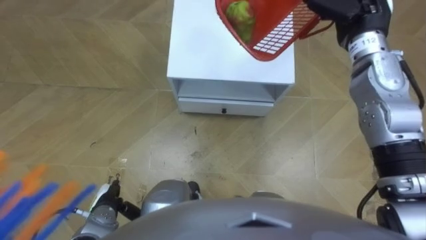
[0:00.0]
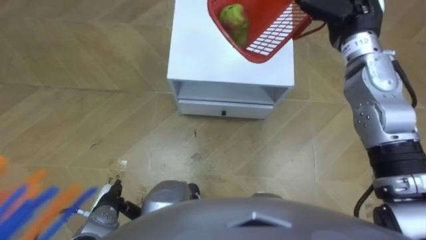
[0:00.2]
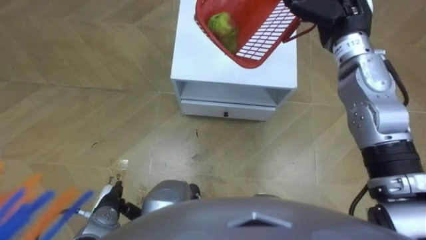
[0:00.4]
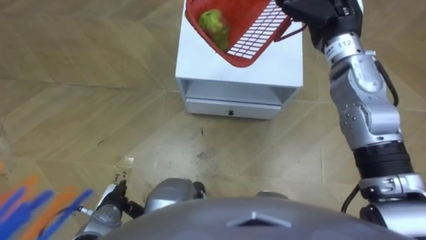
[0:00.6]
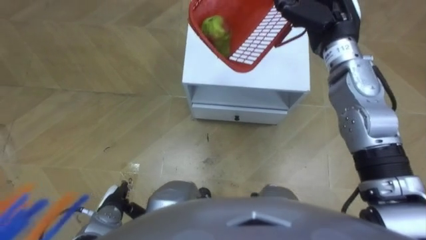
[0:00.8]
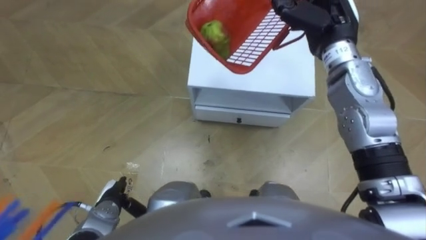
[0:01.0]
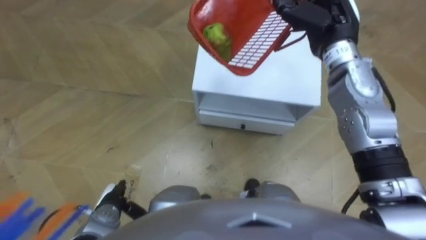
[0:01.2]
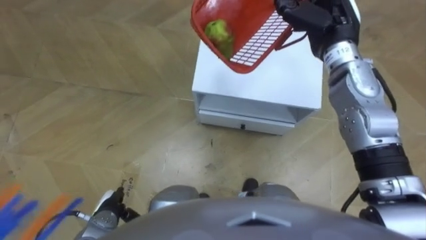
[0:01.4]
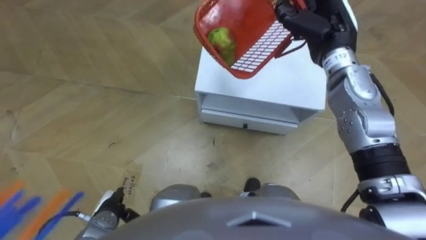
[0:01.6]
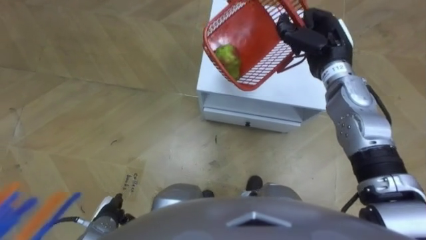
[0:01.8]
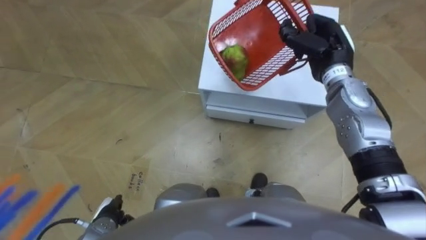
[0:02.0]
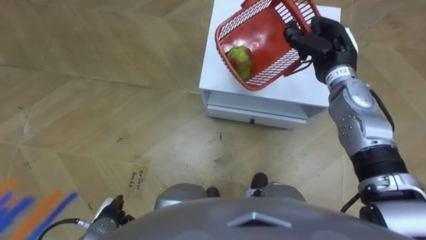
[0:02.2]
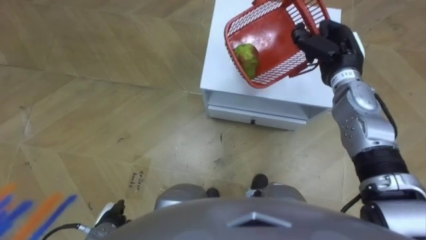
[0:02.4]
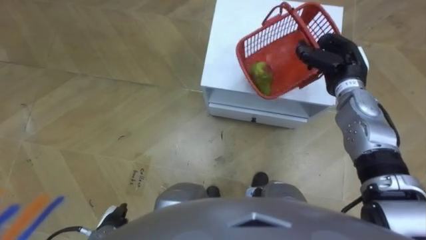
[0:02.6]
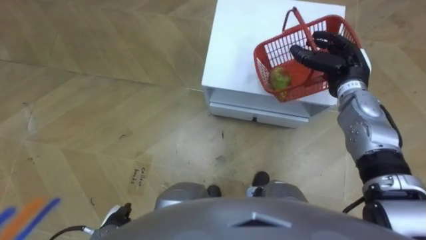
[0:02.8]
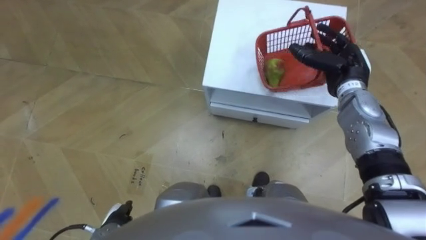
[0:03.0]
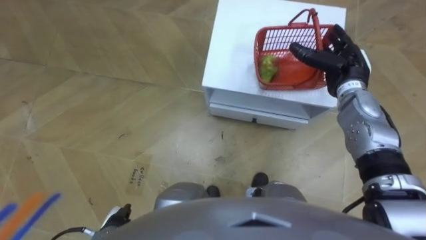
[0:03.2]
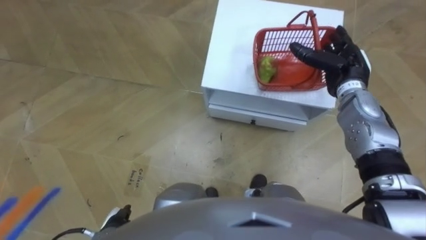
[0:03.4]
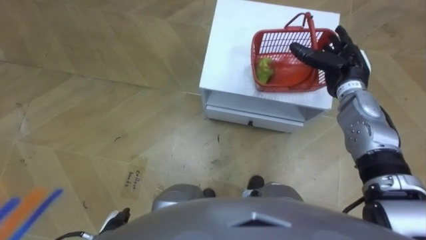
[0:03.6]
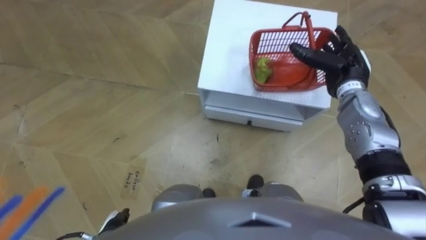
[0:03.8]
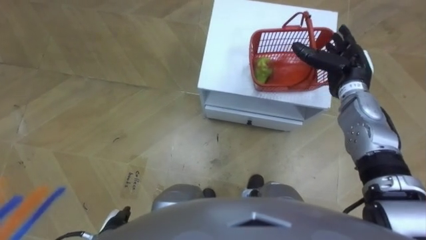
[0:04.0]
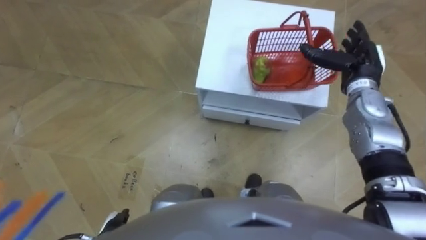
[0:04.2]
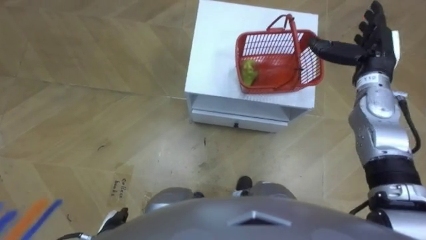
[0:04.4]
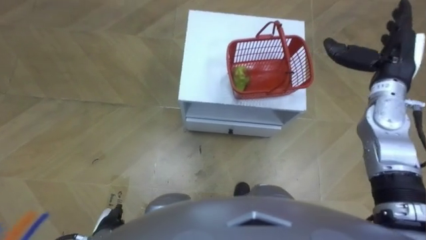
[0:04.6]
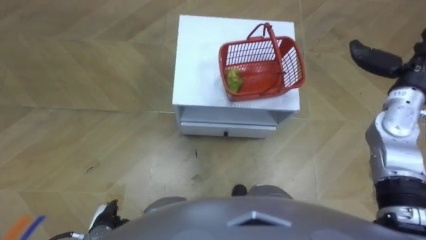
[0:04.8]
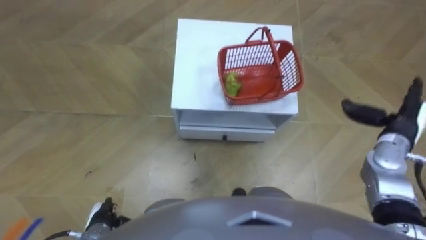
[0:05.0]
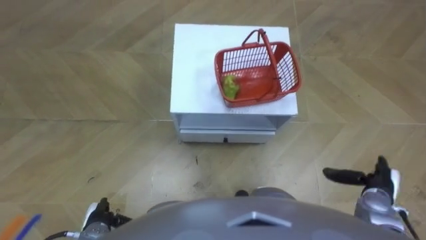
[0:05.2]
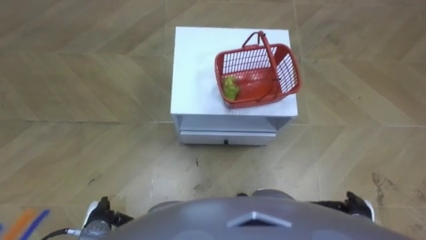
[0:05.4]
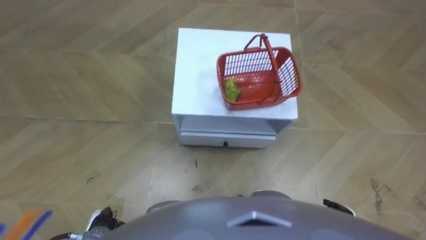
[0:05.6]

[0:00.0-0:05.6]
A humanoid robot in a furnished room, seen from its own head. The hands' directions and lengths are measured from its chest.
Task of the whole recording: Pick up the fruit basket from the floor and place it on the cabinet.
0:01.4 to 0:02.8: The right hand is displaced downward and to the right by some 15 cm, and opens up.
0:02.8 to 0:04.2: The right hand opens its fingers.
0:04.2 to 0:05.6: The right hand is displaced backward and downward by approximately 35 cm.

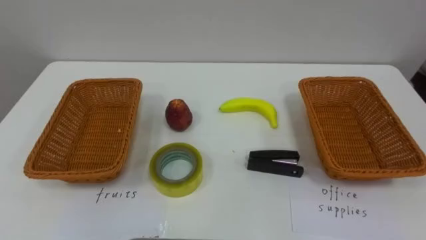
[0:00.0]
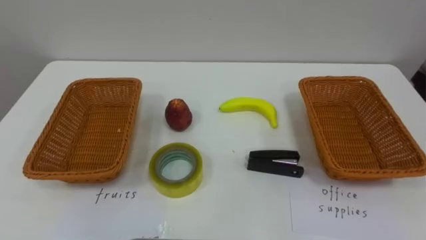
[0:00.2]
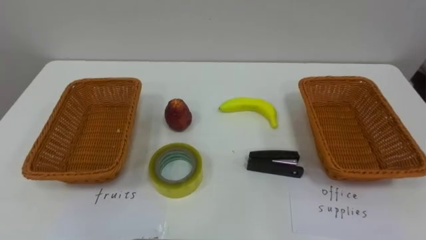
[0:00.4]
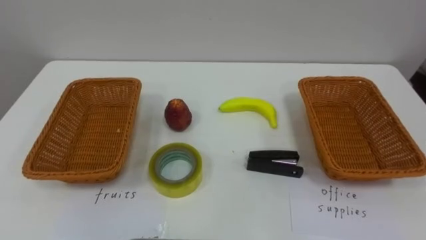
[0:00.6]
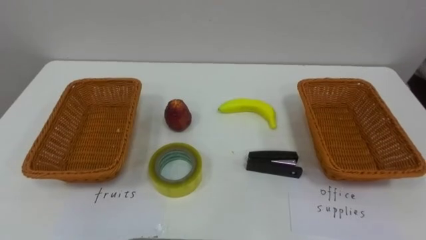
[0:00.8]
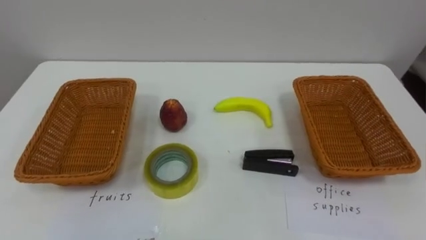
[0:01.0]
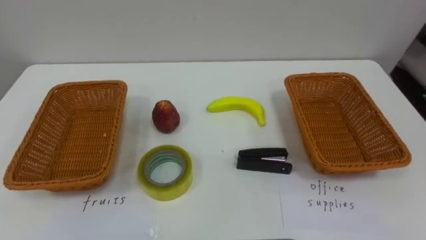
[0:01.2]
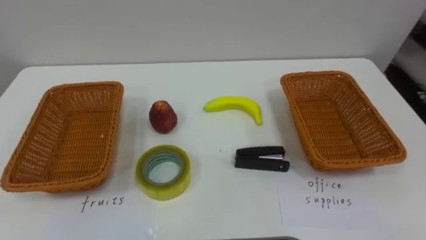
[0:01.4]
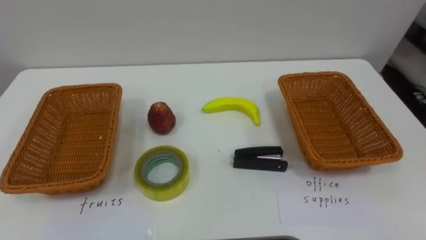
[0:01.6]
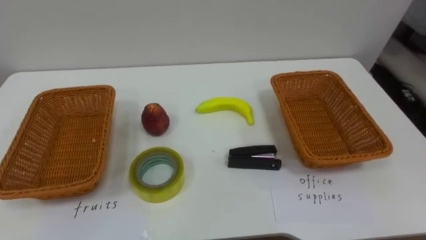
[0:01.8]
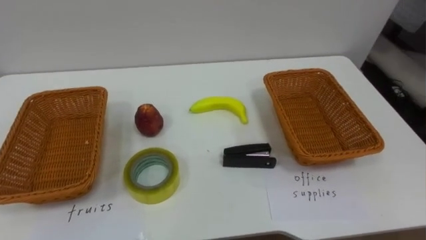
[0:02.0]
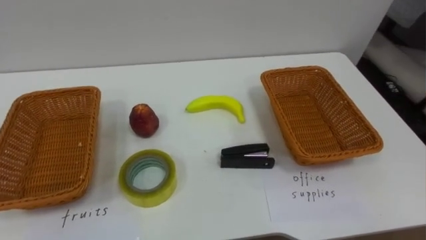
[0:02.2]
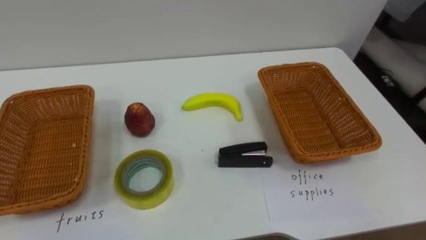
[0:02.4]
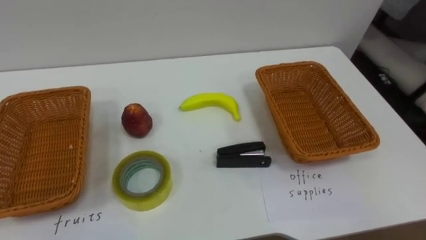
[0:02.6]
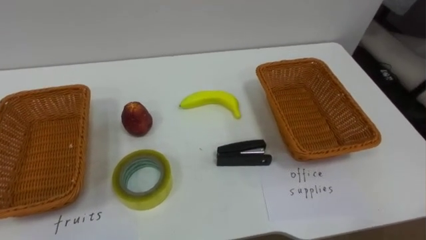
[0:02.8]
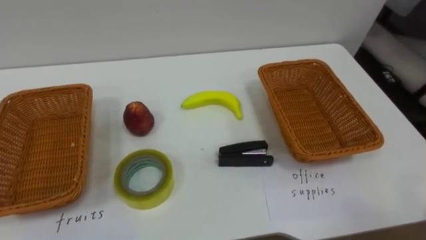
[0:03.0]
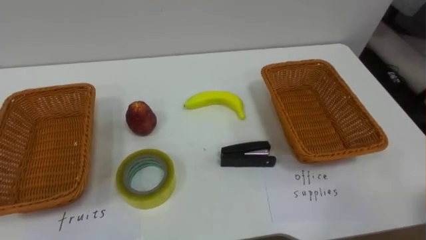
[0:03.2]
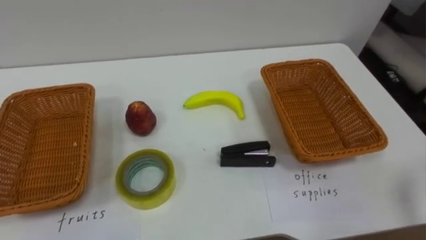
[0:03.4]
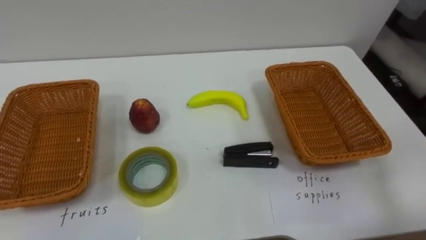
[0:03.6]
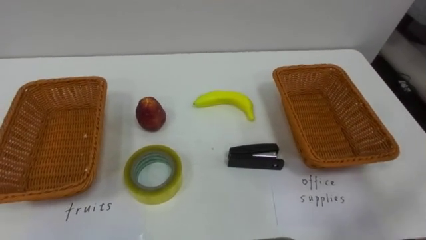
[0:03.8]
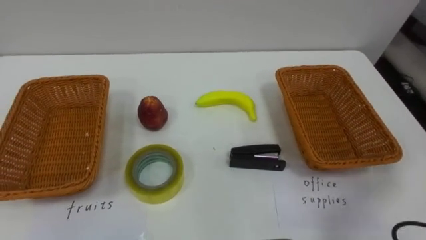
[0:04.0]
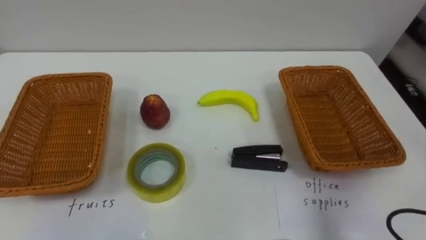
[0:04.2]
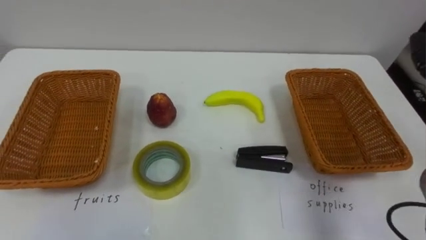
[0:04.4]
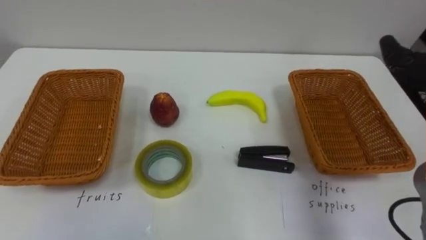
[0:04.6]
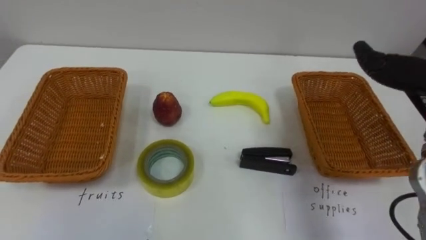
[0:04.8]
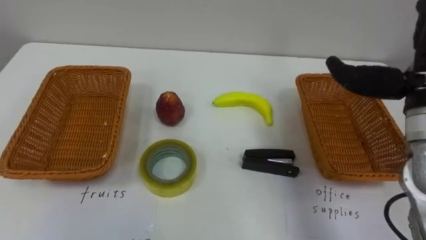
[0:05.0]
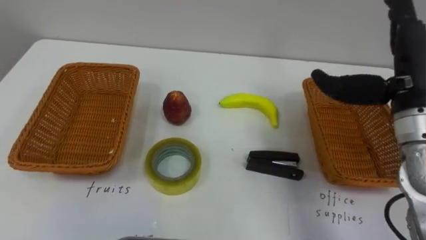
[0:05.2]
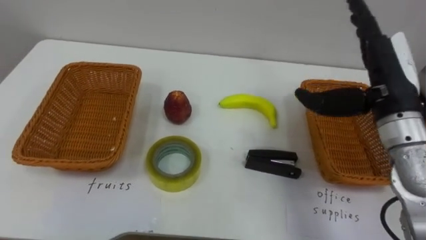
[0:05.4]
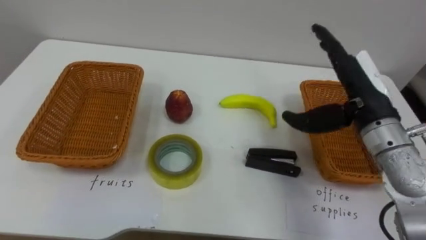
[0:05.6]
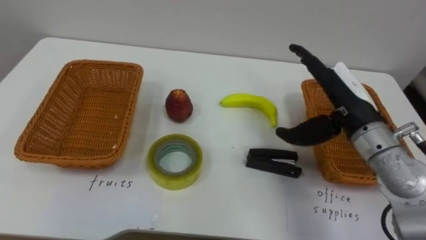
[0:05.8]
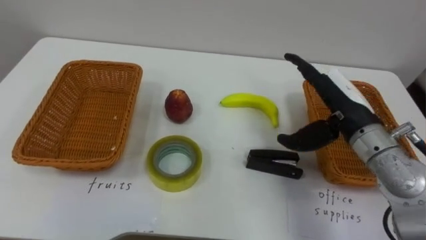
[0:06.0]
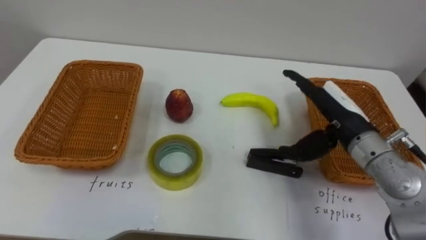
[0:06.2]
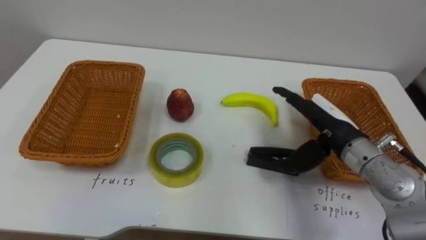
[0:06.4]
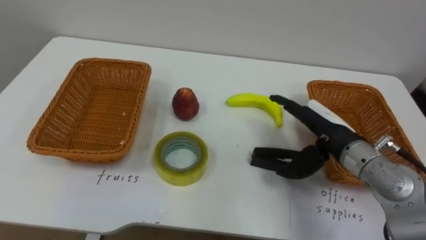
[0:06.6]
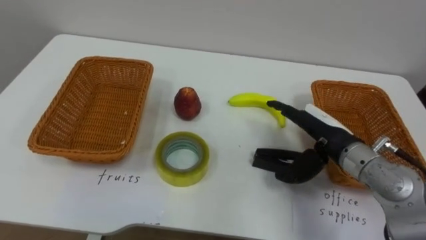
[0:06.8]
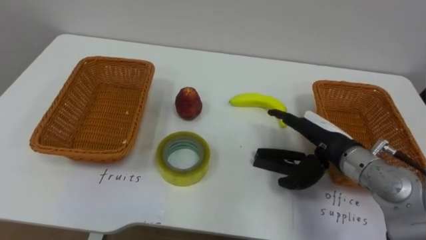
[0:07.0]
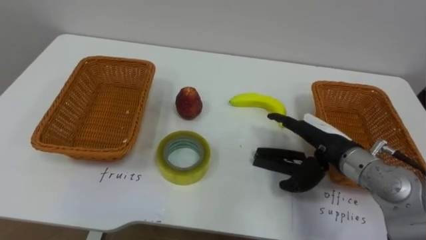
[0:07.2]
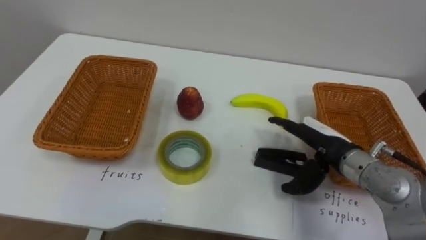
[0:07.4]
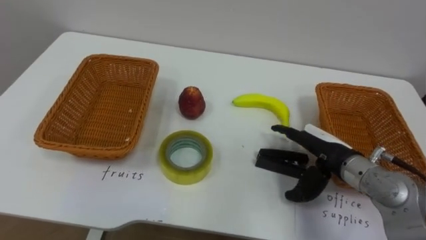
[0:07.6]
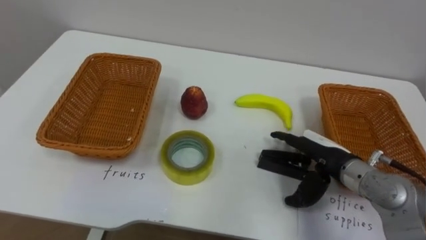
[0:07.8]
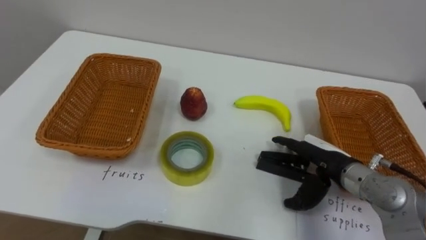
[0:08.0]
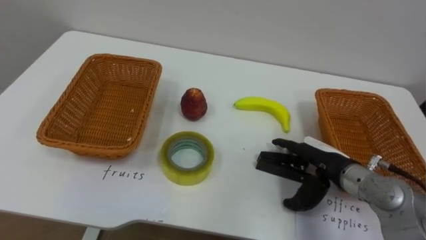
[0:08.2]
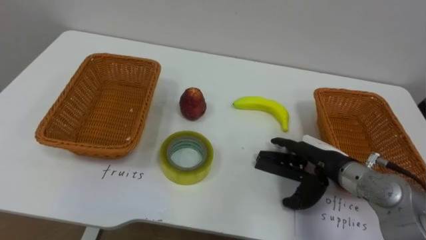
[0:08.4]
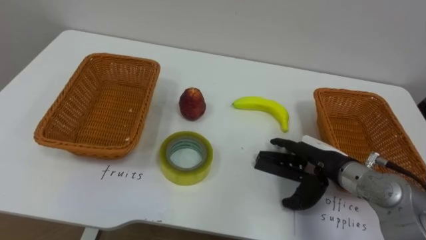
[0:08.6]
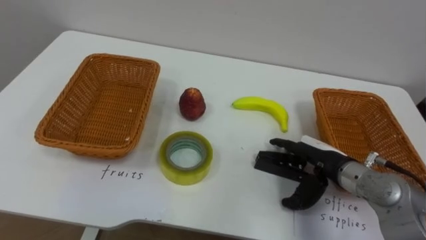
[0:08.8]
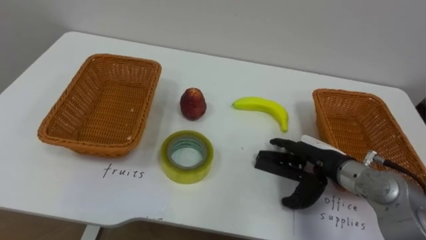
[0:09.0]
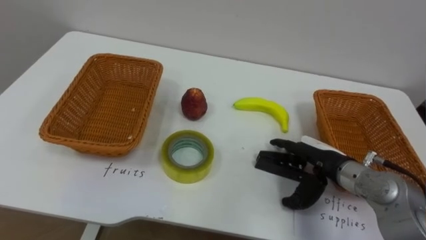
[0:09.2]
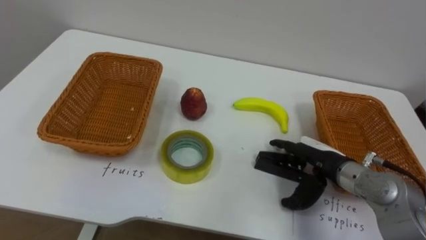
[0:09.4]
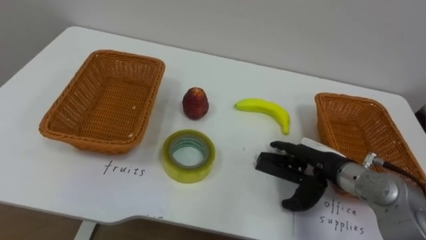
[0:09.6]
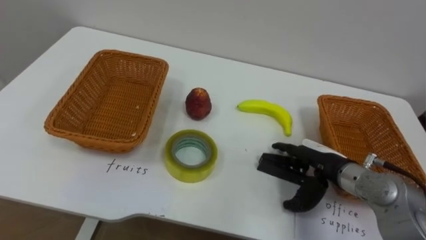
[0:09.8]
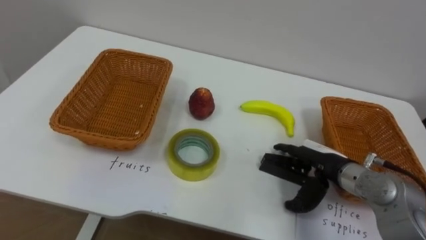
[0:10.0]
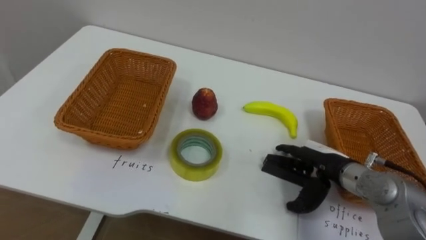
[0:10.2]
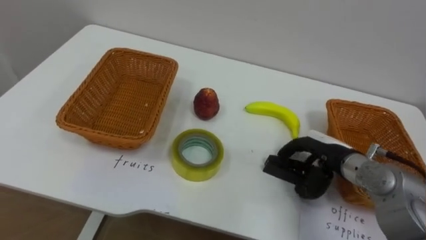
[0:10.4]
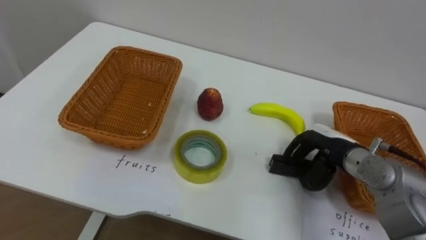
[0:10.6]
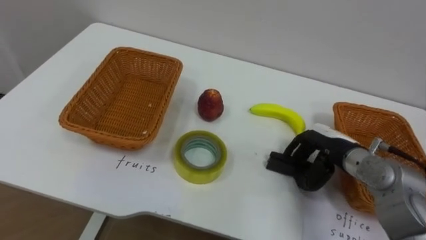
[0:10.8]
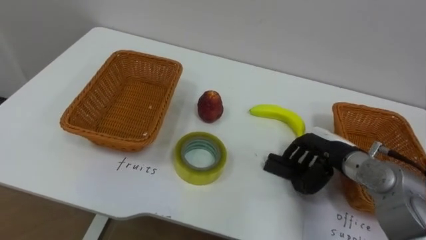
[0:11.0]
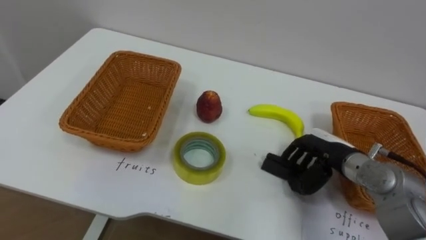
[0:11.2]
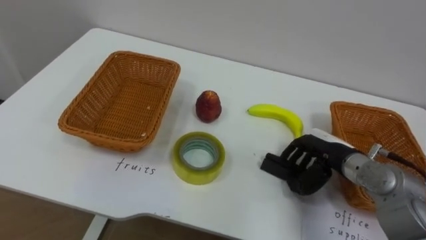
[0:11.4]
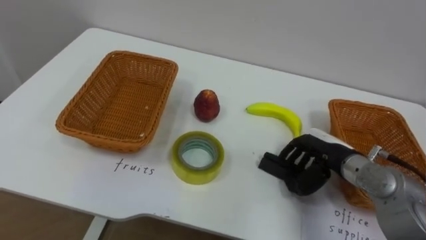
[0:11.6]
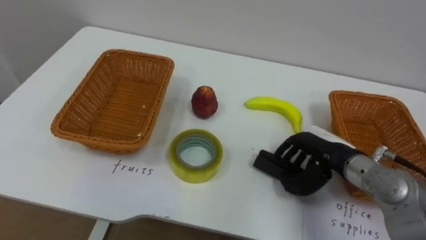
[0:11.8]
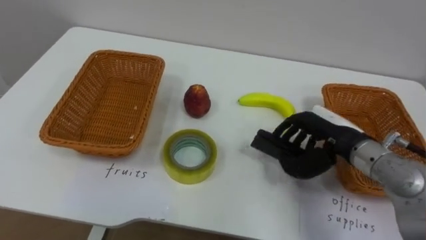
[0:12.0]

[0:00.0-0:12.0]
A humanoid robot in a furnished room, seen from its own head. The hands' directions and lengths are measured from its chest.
Task of the whole recording: Separate the items on the table and place them into the two baskets.
0:06.0 to 0:07.6: The right hand heads downward, covering approximately 10 cm.
0:10.4 to 0:12.0: The right hand goes some 5 cm upward.
